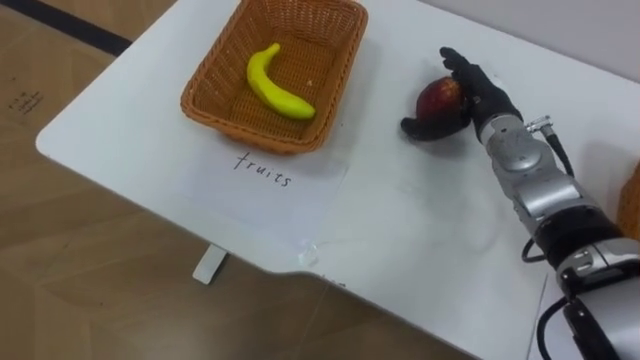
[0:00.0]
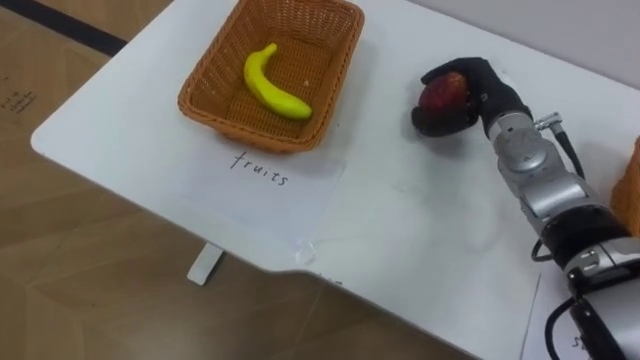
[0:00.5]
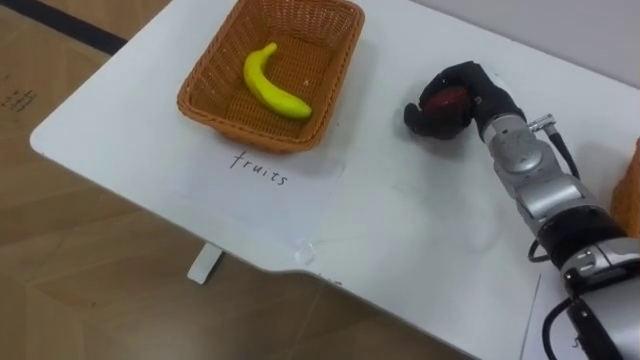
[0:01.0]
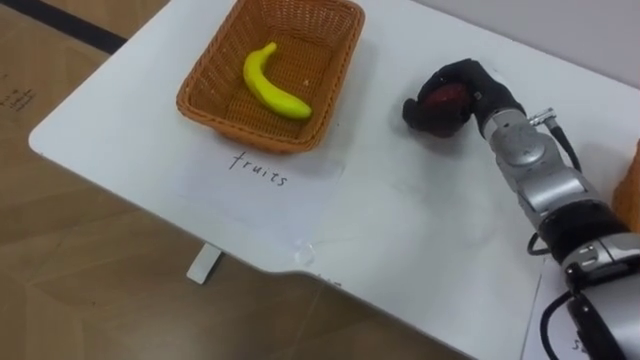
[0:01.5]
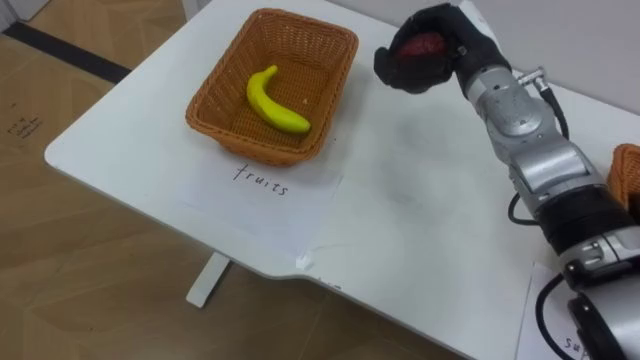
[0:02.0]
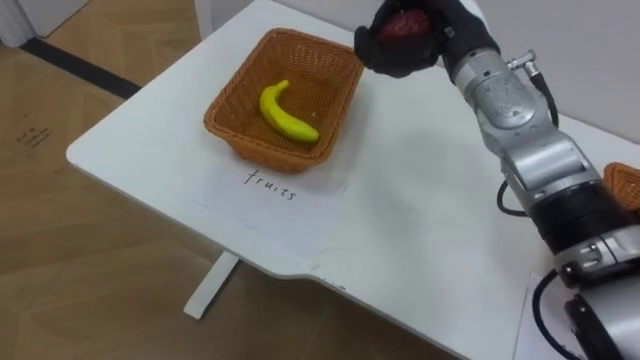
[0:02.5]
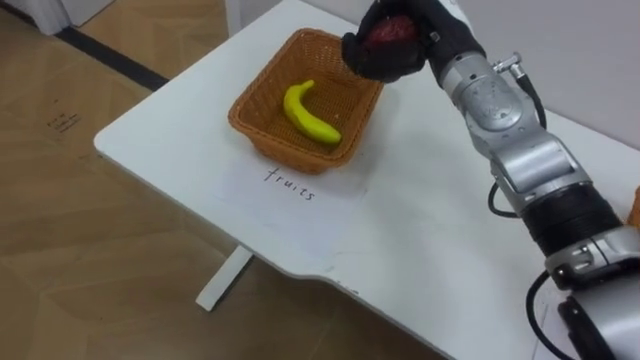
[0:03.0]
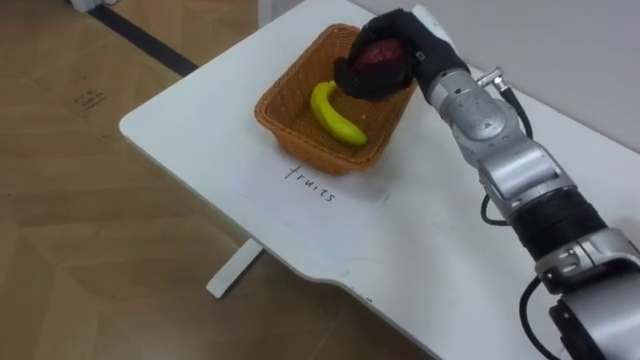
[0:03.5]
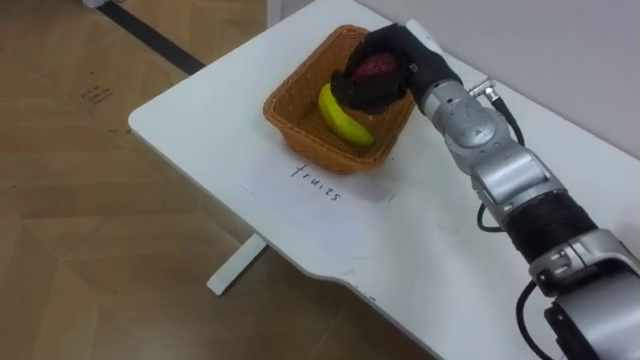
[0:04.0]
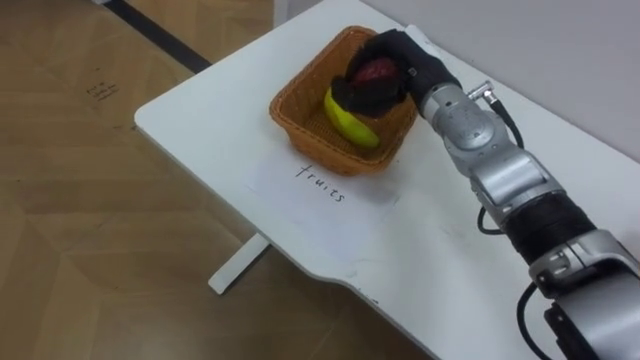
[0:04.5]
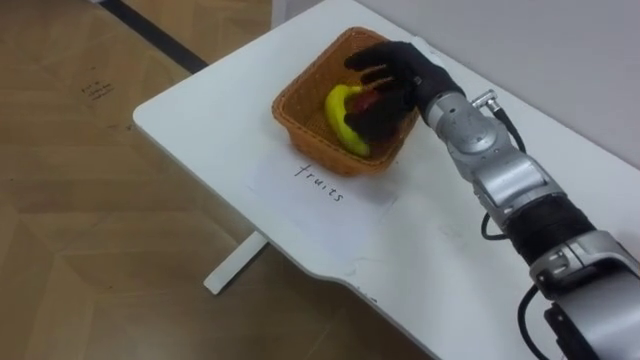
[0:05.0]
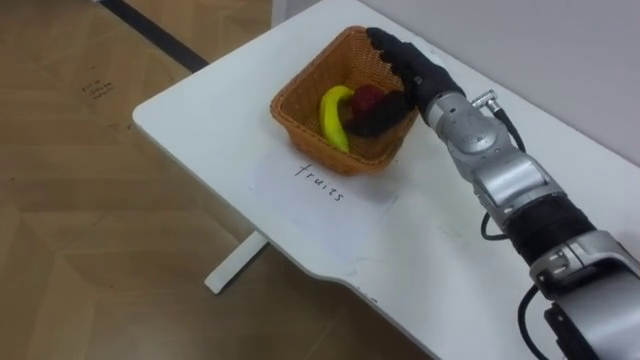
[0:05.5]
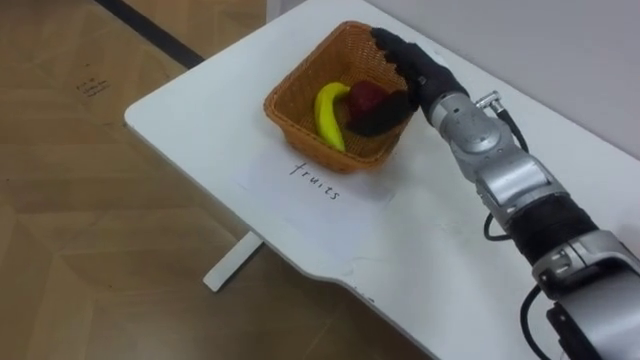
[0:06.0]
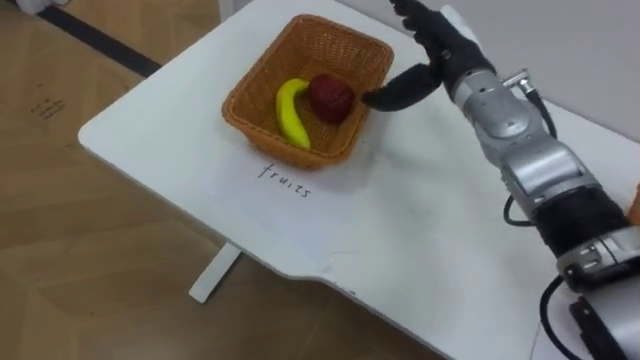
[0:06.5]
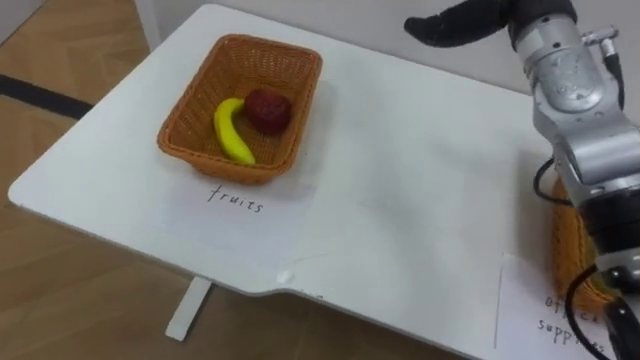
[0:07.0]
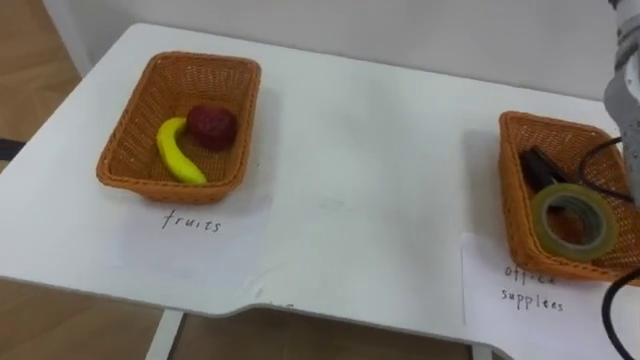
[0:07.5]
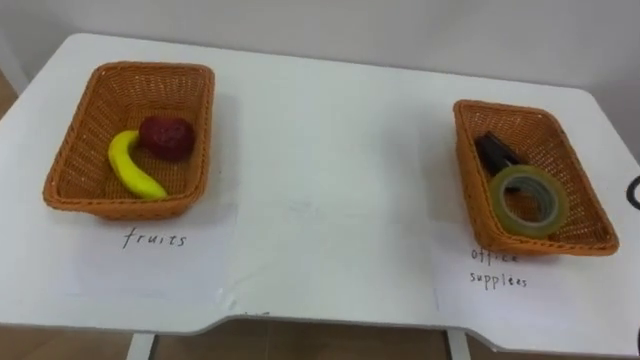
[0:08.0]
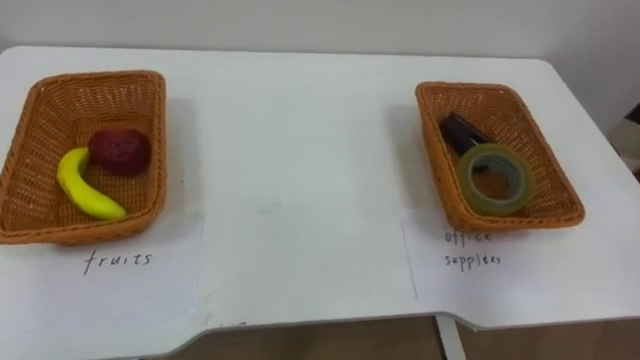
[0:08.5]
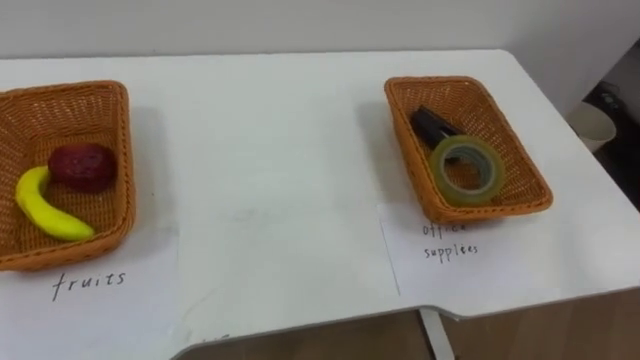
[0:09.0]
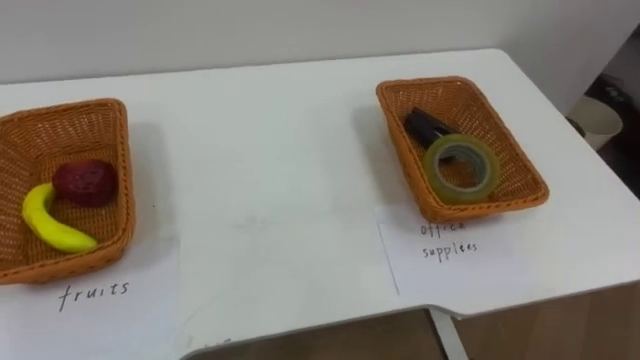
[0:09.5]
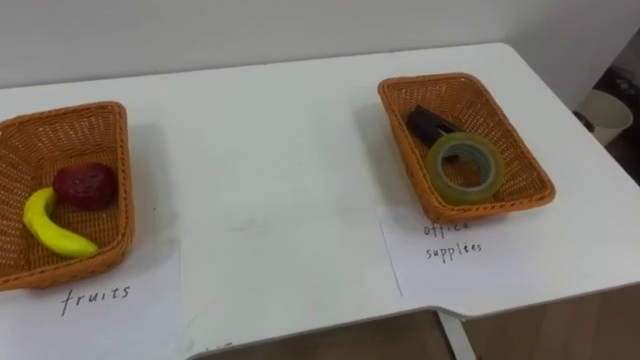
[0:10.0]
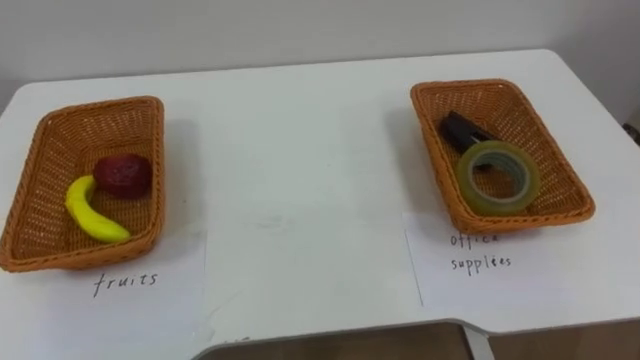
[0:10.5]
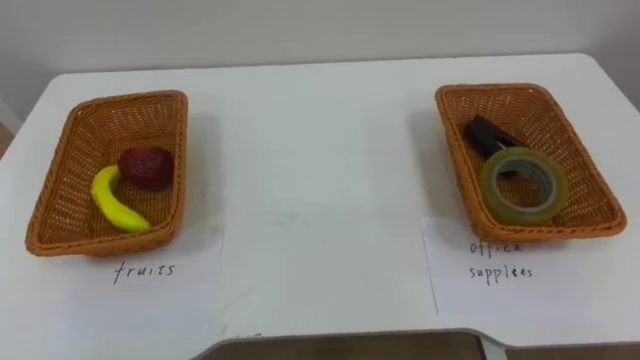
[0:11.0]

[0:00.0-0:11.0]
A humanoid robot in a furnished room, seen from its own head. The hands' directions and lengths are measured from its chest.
Task of the whole recording: Separate the items on the table and place them into the two baskets.
0:00.0 to 0:02.0: The right hand travels upward by approximately 5 cm, and closes its fingers.
0:02.0 to 0:03.5: The right hand goes about 5 cm to the left.
0:03.5 to 0:05.5: The right hand opens up.

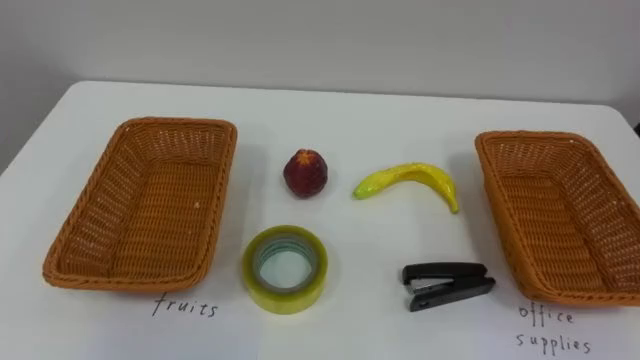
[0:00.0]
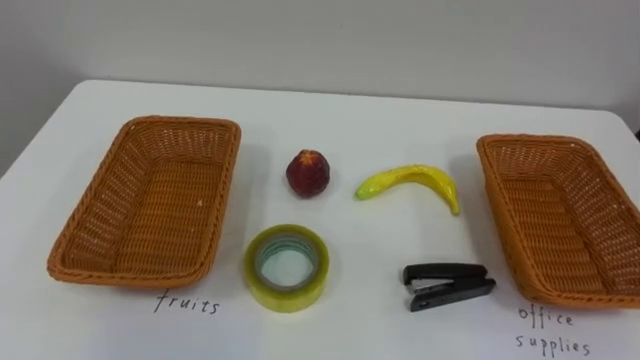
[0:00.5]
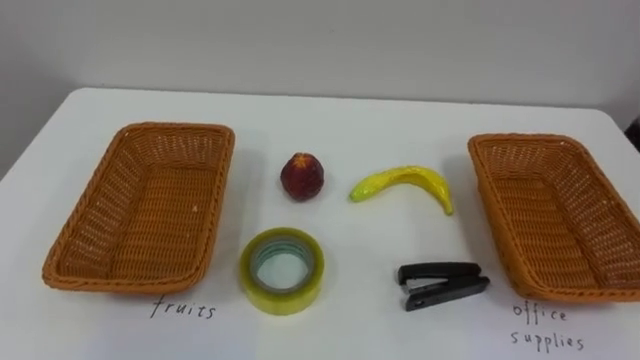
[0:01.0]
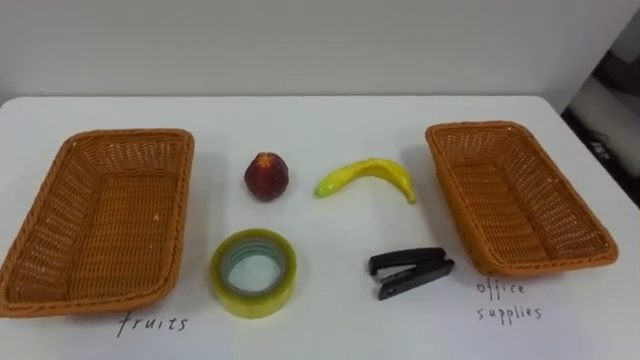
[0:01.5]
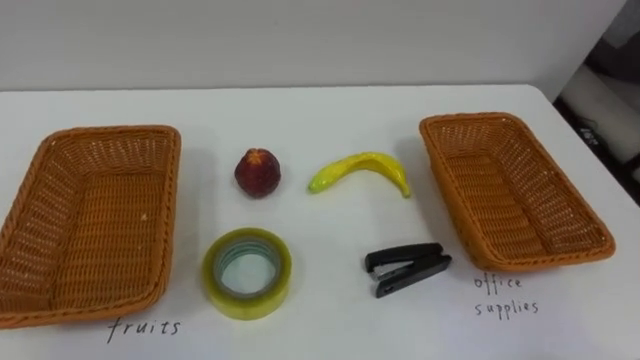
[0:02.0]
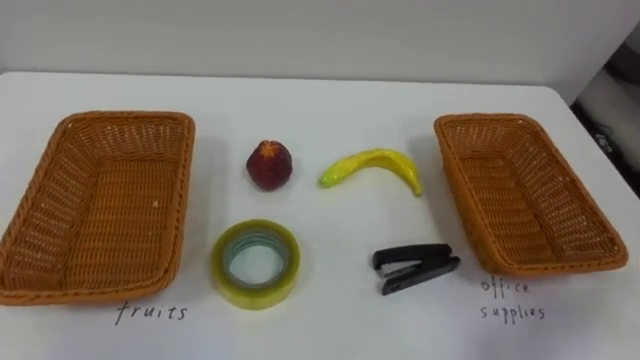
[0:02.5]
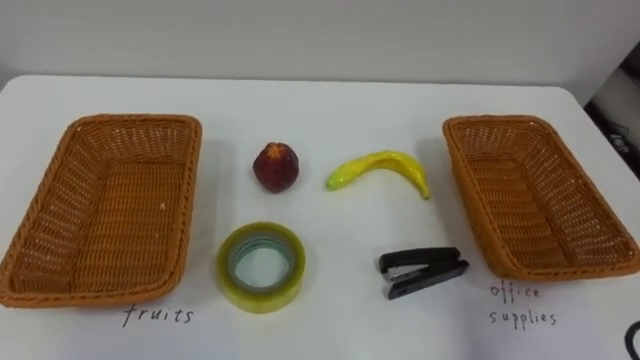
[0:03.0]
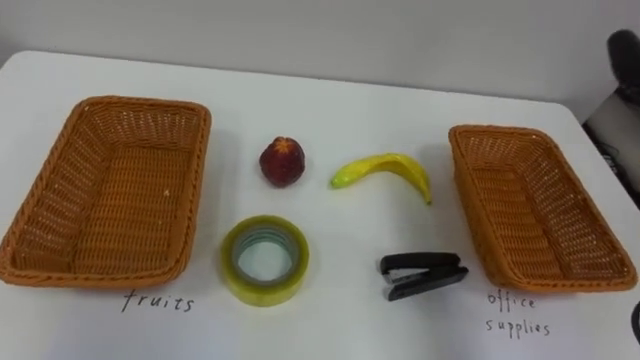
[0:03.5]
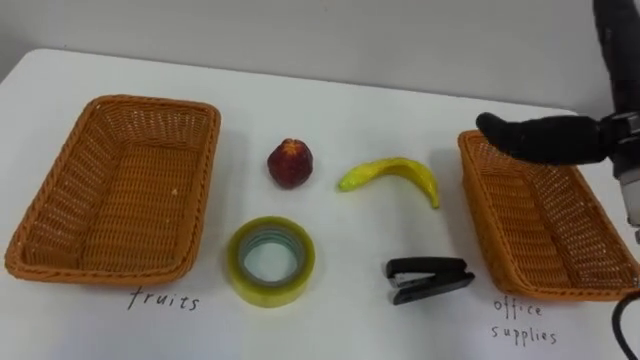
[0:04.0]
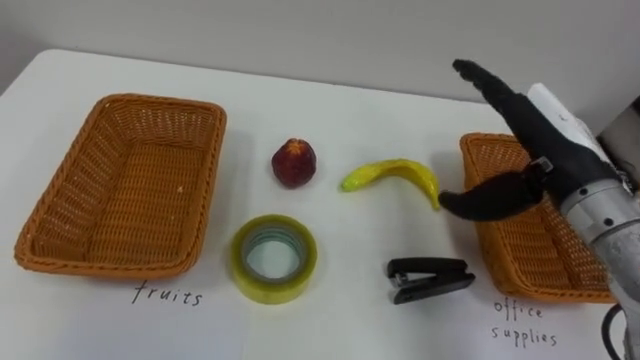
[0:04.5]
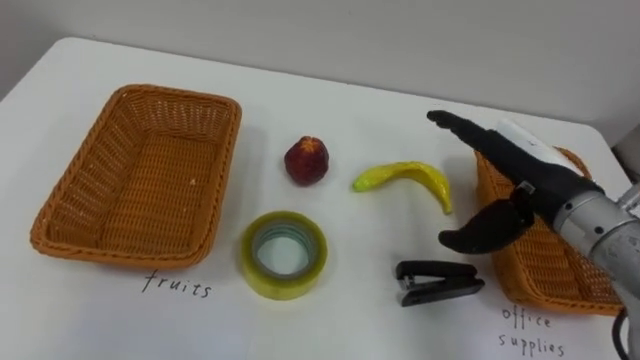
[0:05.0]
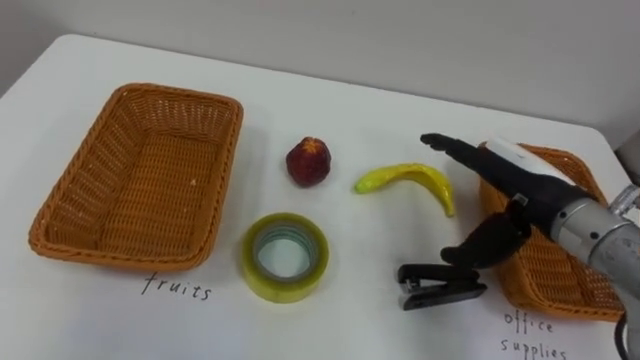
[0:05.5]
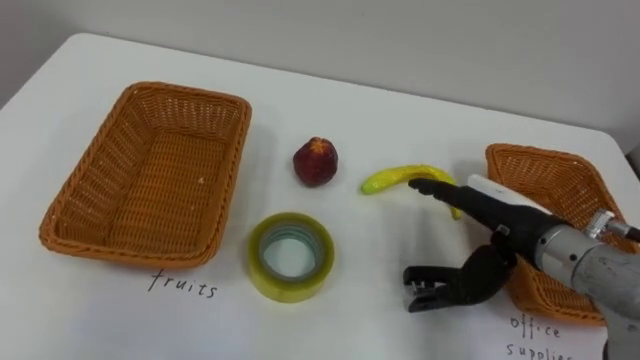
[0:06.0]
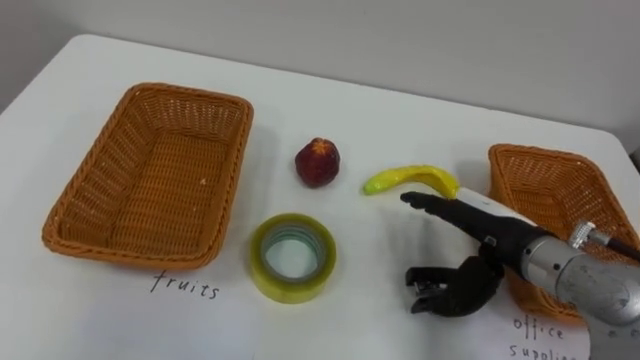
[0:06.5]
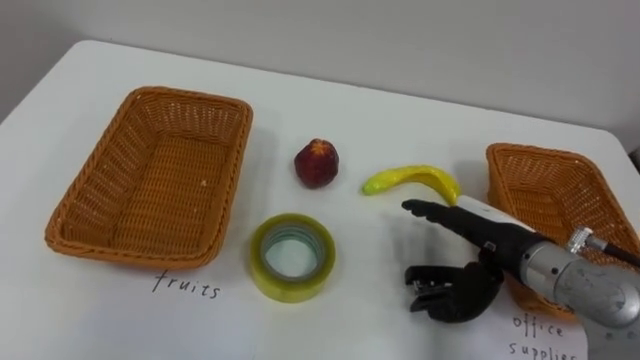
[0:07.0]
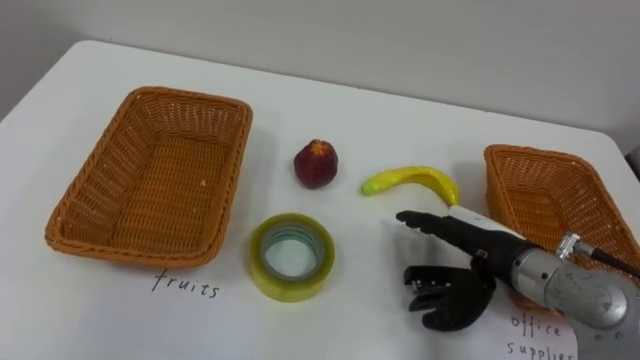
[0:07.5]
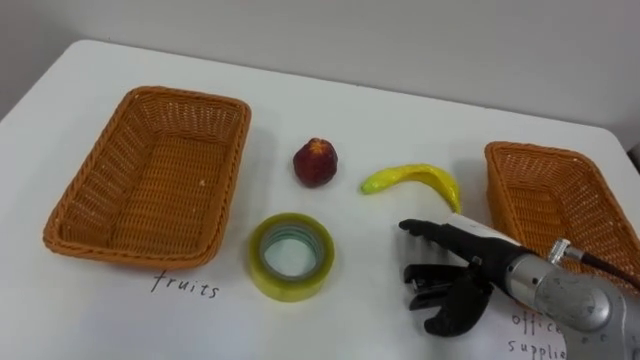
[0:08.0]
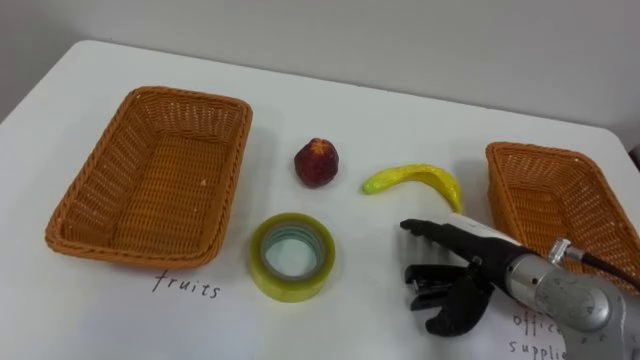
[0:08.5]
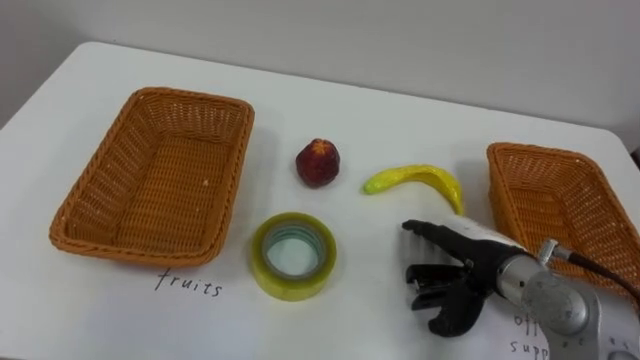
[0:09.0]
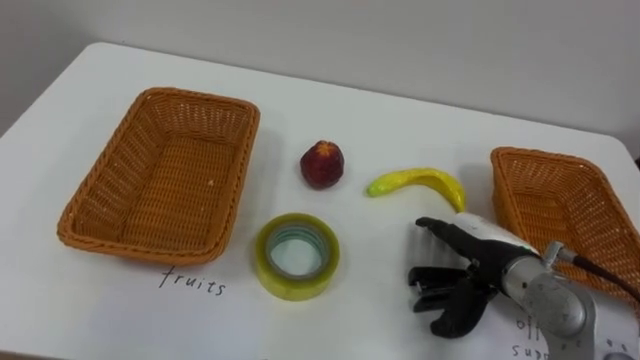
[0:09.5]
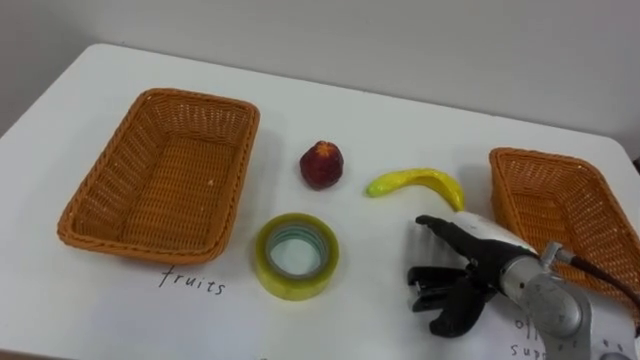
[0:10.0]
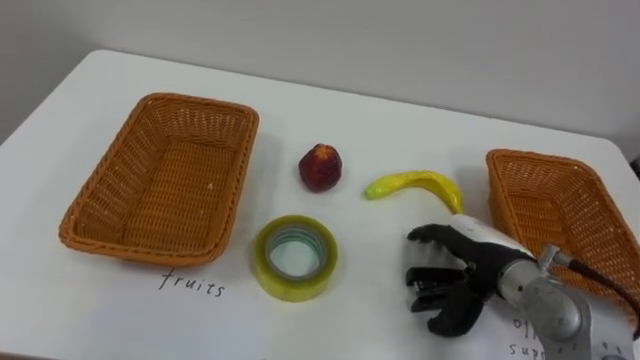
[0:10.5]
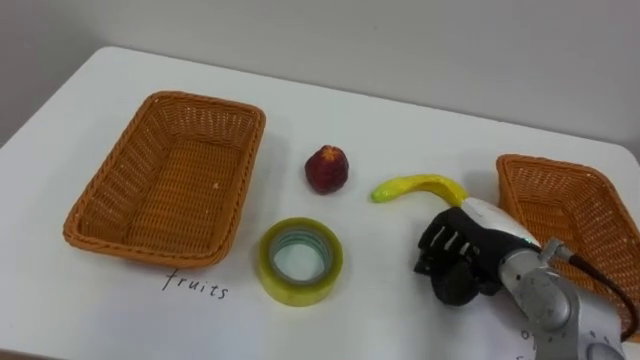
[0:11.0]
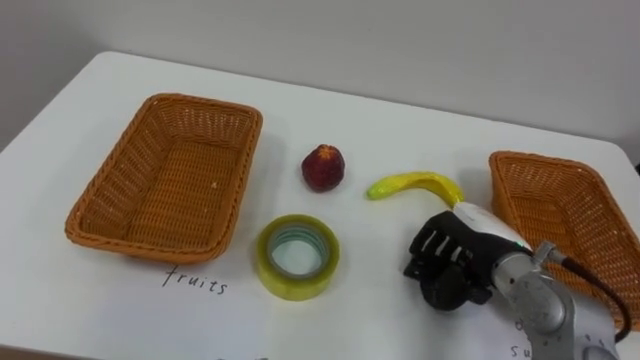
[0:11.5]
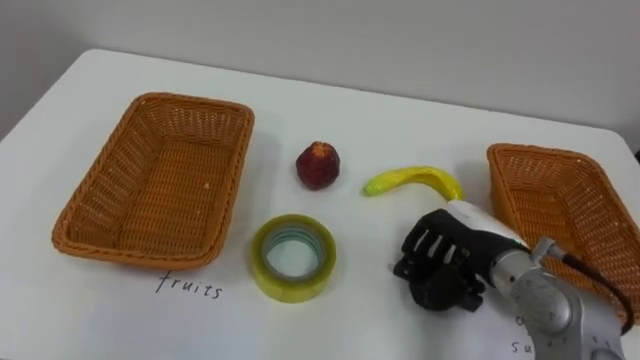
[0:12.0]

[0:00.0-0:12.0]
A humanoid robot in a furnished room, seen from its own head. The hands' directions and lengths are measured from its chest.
Task of the whole recording: Separate the items on the table and place them into the two baskets.
0:04.0 to 0:06.0: The right hand travels downward by about 15 cm.
0:06.0 to 0:08.0: The right hand shifts roughly 5 cm downward.
0:10.0 to 0:12.0: The right hand closes up.
